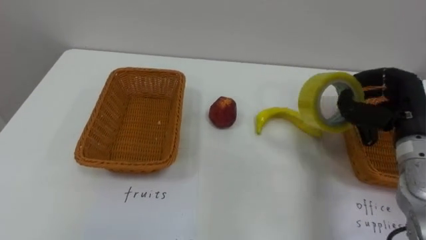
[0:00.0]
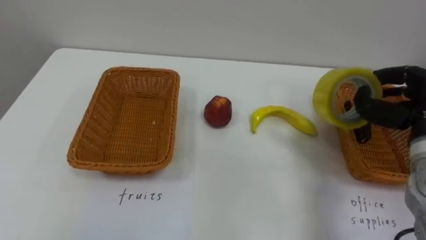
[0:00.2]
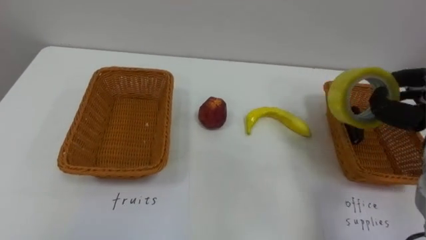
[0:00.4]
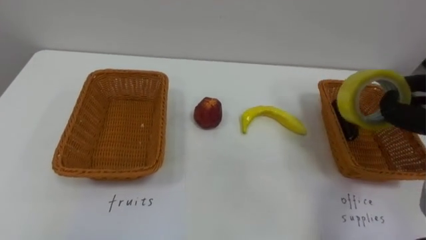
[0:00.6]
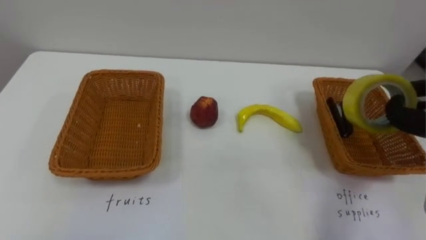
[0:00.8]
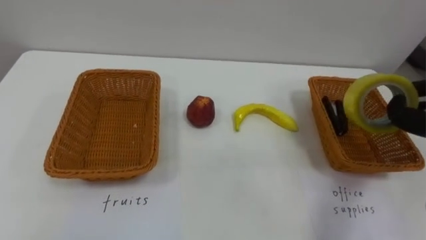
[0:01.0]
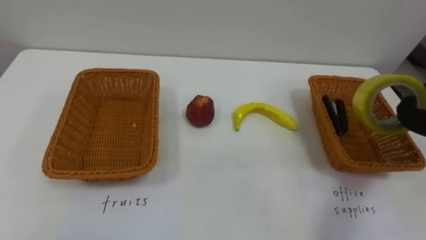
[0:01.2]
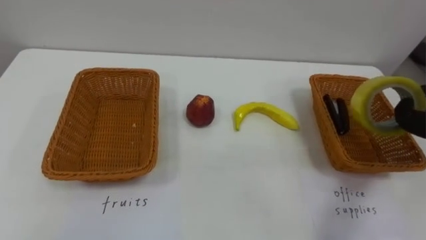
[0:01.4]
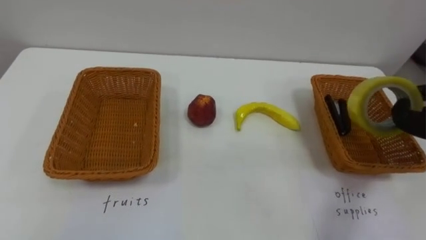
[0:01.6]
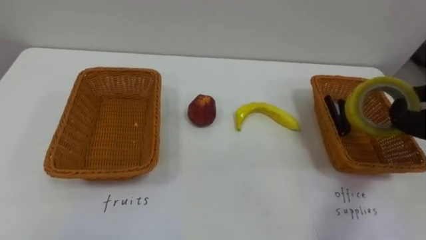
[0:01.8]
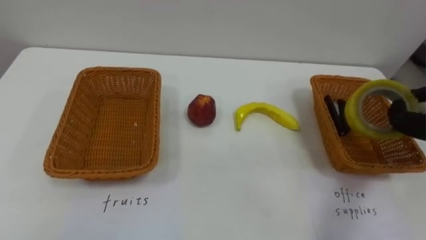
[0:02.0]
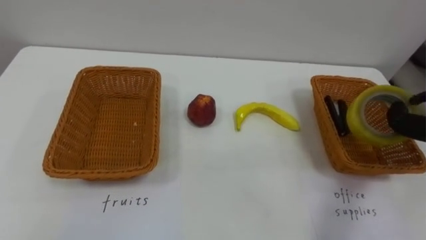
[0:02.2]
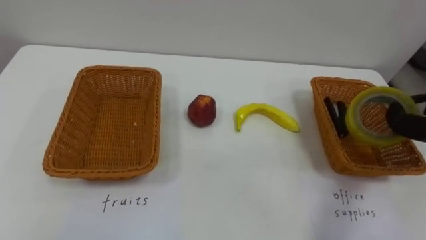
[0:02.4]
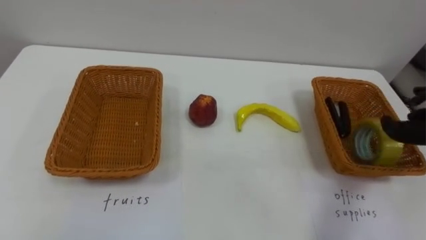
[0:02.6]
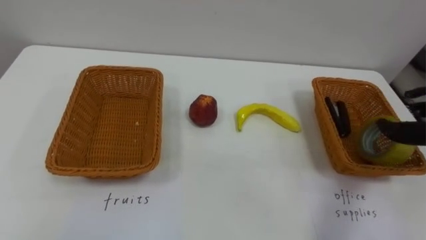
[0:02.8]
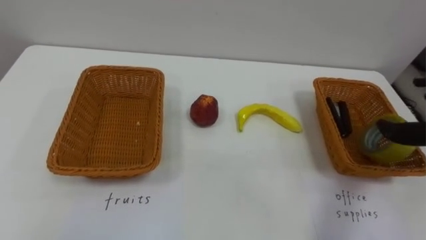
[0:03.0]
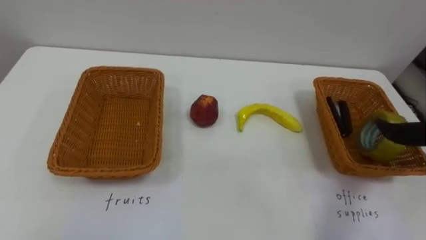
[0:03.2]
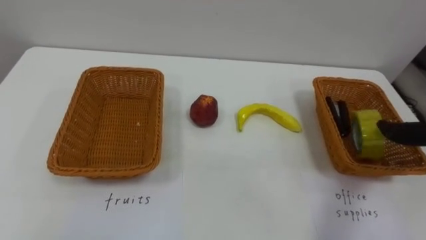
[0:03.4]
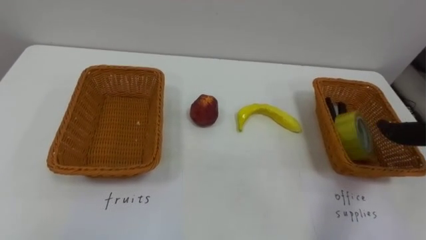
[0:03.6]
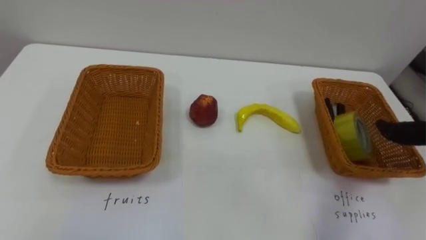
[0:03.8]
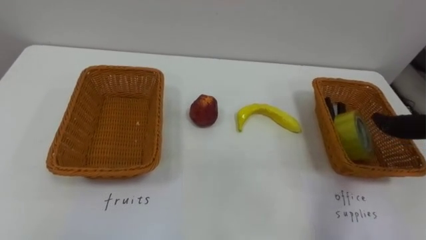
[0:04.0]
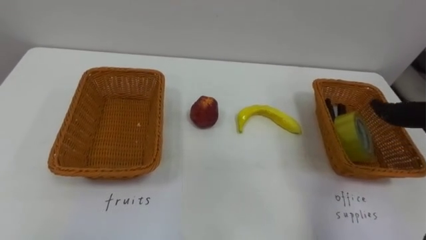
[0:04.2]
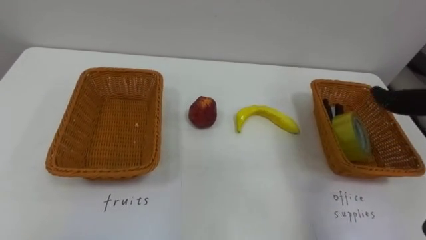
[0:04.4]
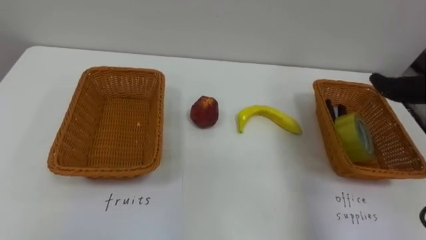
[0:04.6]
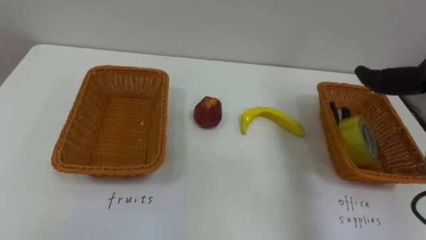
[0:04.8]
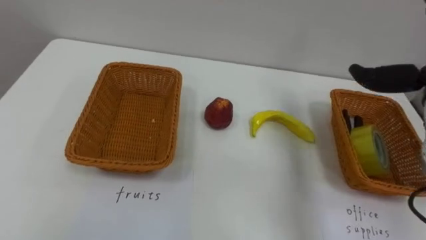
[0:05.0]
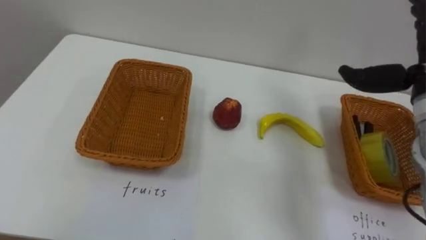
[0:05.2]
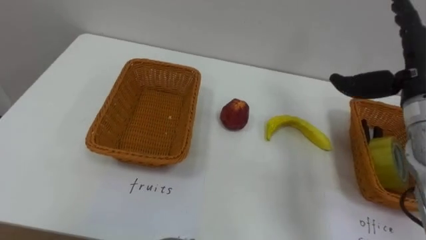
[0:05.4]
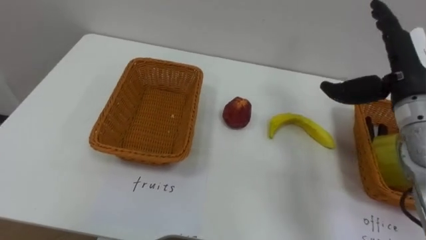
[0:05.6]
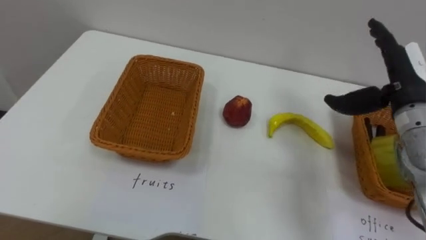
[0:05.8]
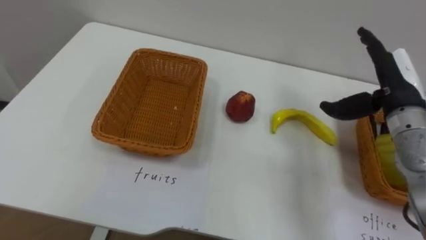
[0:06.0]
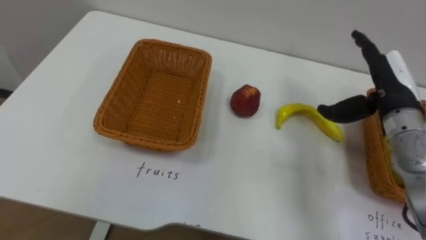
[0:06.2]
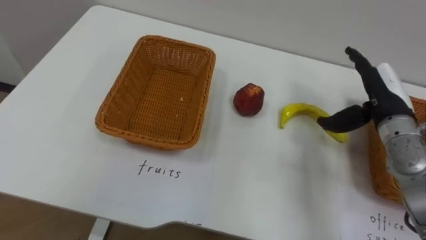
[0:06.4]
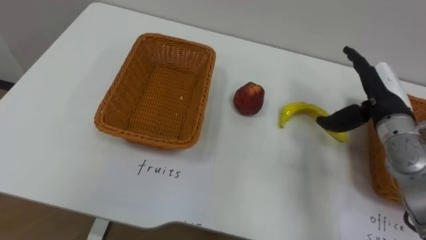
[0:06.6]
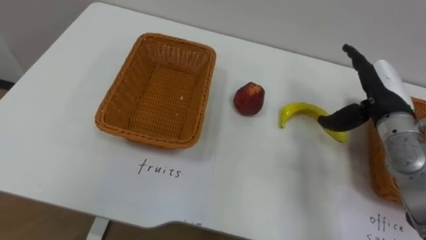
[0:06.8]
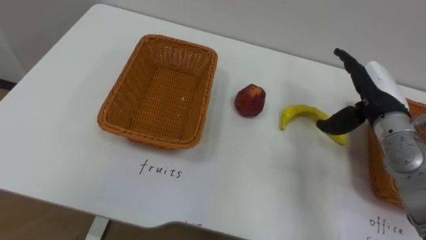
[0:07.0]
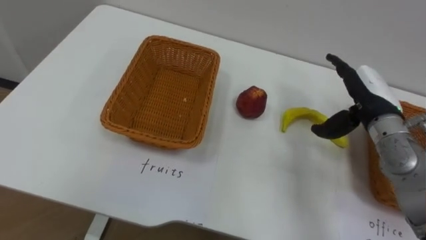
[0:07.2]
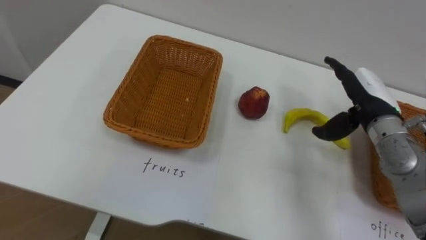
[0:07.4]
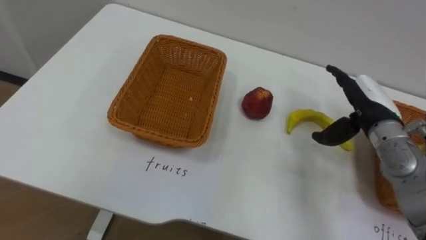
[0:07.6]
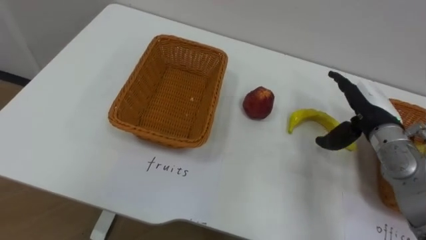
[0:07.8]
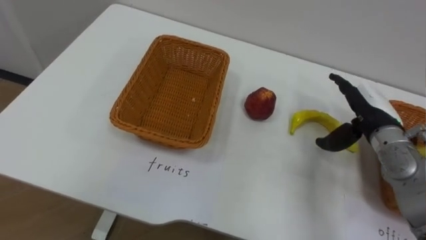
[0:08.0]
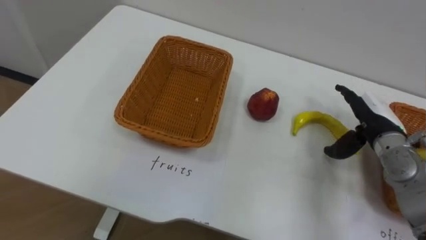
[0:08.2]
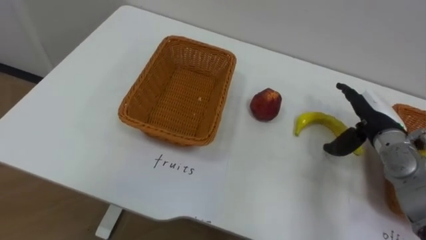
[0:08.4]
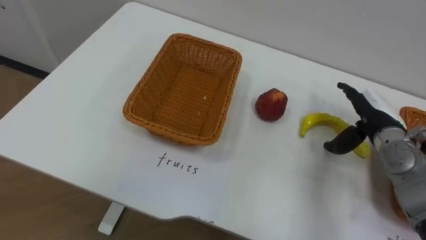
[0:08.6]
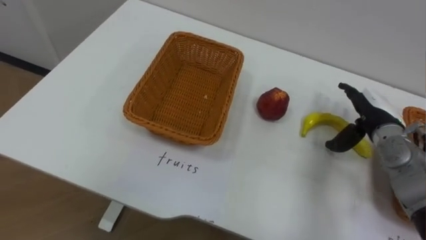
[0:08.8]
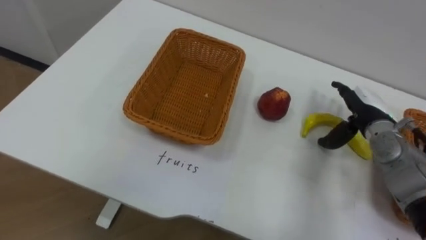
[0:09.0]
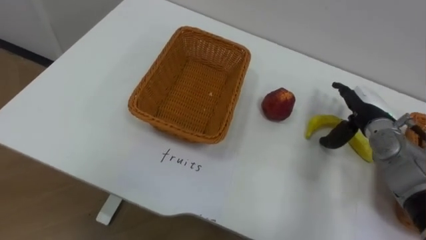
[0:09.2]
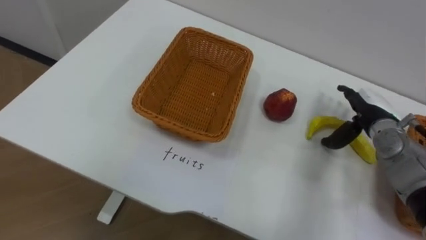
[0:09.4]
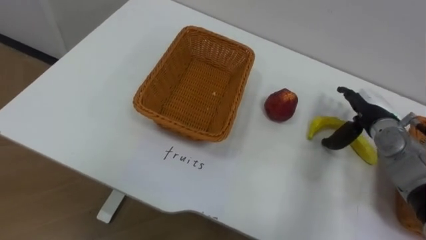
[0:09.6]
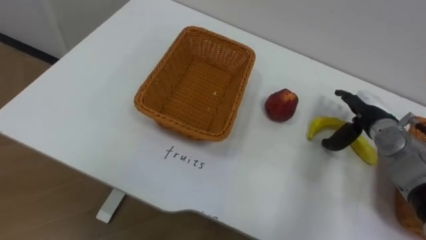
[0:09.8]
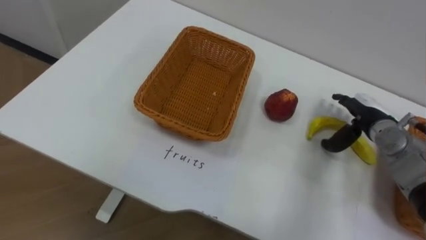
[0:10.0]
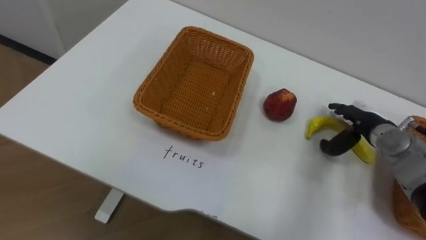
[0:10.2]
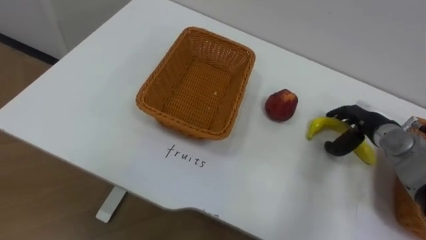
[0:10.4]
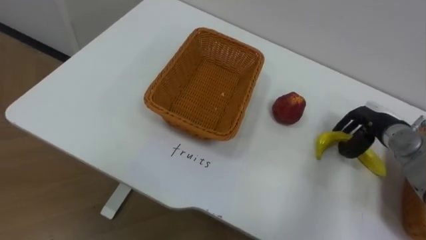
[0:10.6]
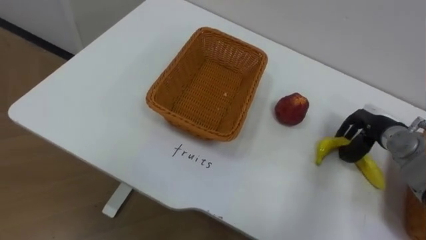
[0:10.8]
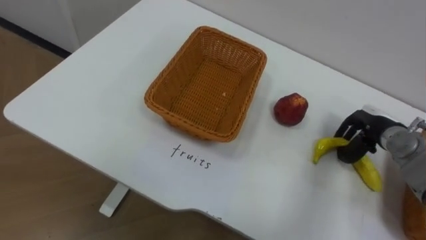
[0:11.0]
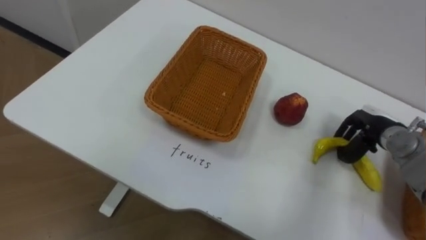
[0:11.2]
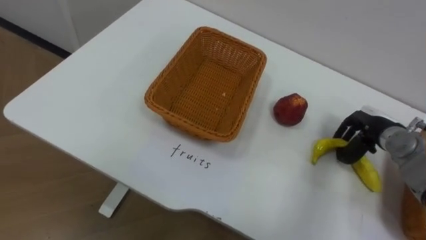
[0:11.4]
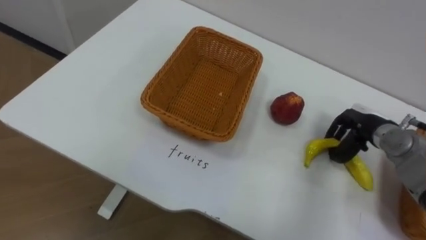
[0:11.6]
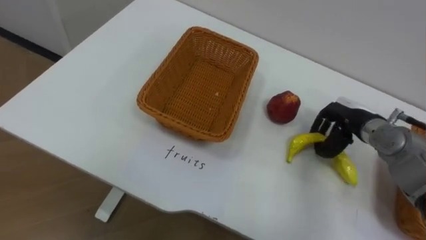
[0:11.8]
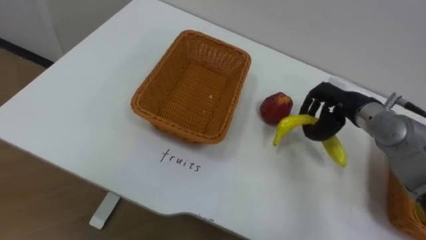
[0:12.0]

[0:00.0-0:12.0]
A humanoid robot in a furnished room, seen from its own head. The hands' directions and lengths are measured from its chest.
Task of the whole recording: Separate the items on the table and place them into the two baskets.
0:06.0 to 0:07.6: The right hand is displaced downward by approximately 5 cm.
0:07.6 to 0:09.0: The right hand moves some 5 cm.
0:10.4 to 0:12.0: The right hand travels to the left and upward by about 10 cm, and closes.

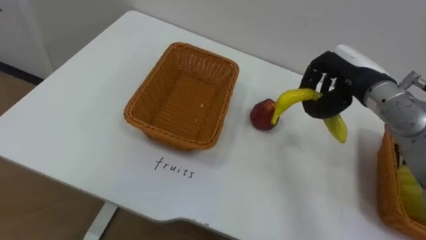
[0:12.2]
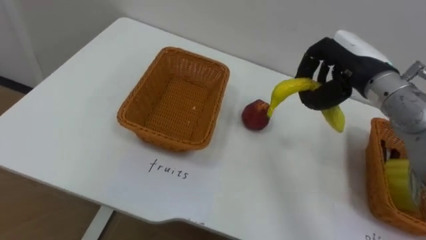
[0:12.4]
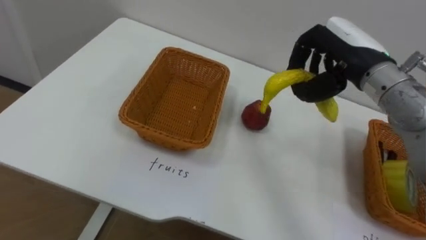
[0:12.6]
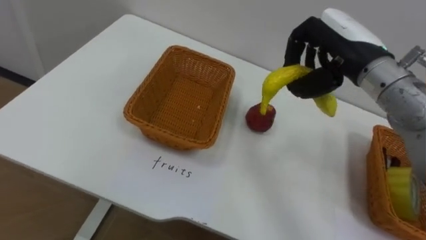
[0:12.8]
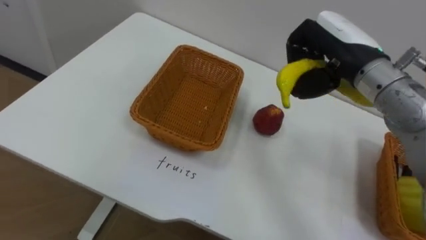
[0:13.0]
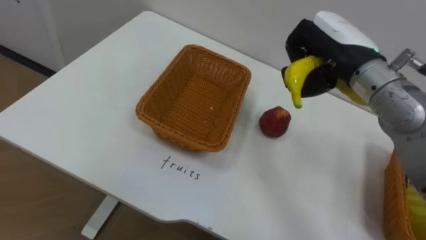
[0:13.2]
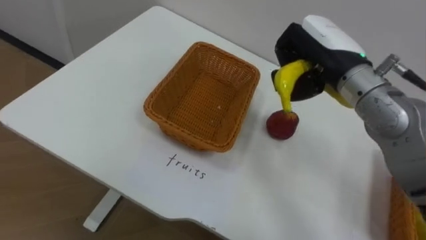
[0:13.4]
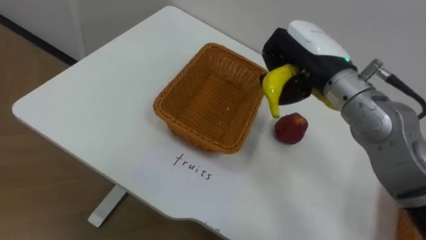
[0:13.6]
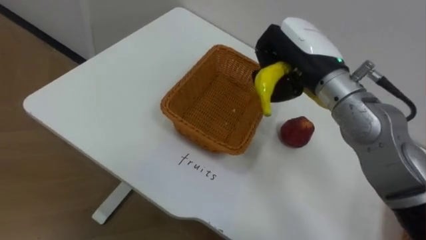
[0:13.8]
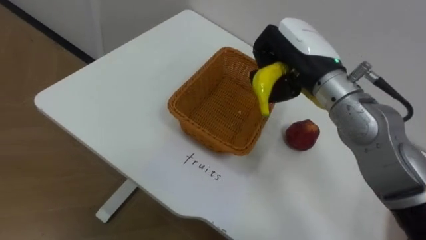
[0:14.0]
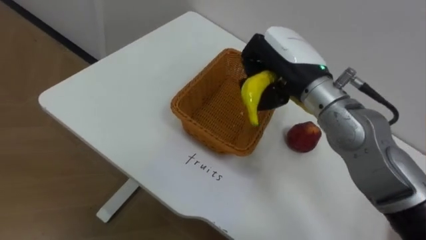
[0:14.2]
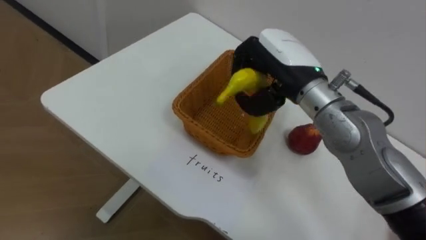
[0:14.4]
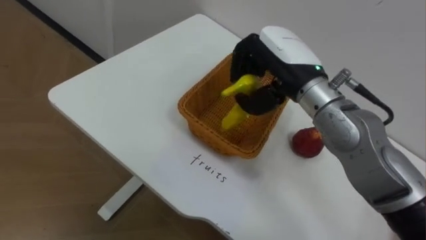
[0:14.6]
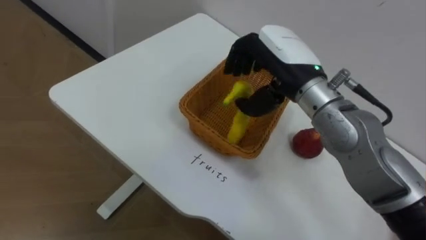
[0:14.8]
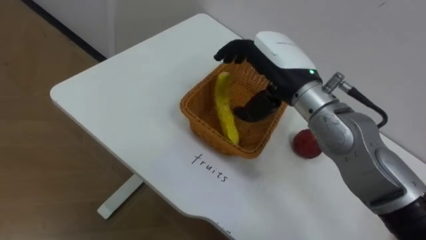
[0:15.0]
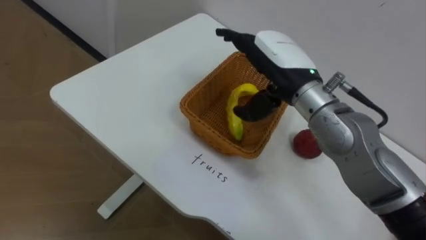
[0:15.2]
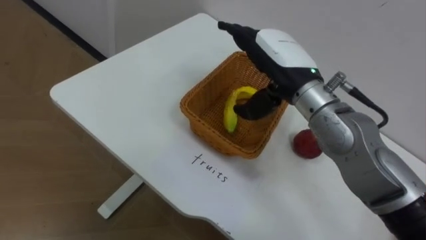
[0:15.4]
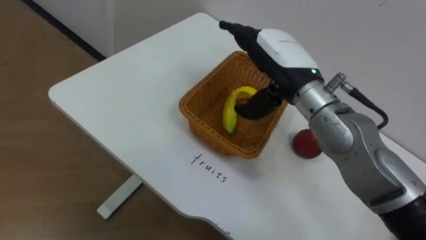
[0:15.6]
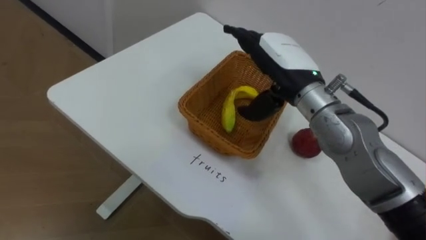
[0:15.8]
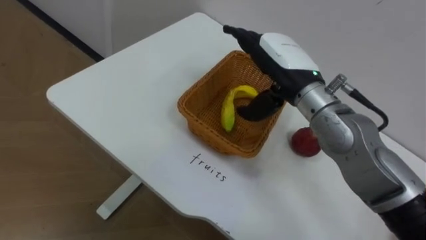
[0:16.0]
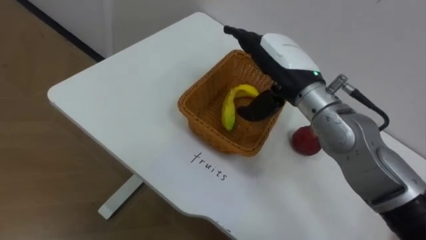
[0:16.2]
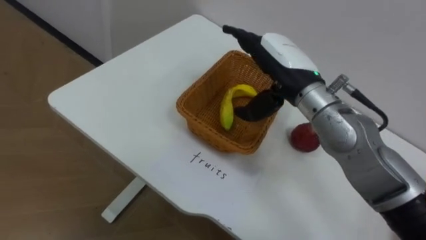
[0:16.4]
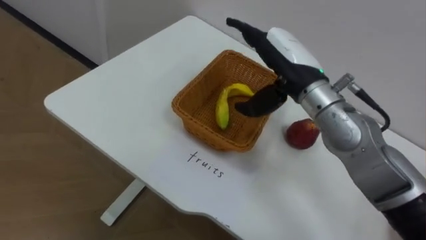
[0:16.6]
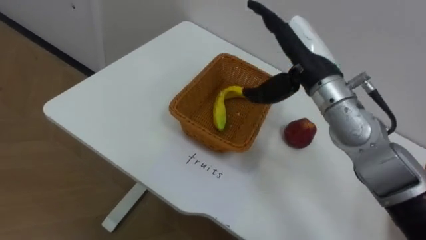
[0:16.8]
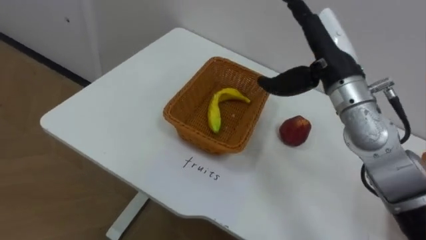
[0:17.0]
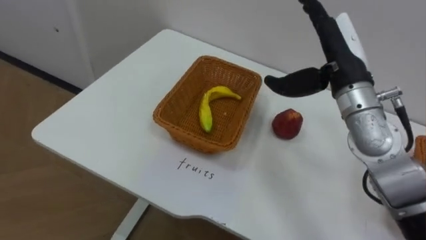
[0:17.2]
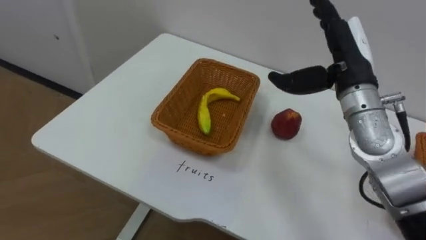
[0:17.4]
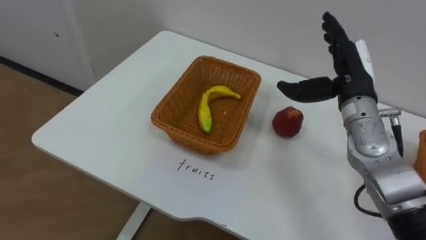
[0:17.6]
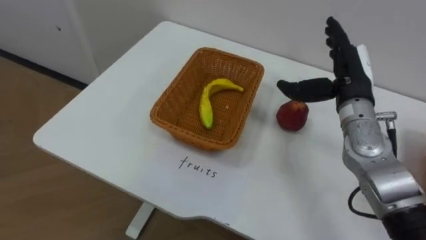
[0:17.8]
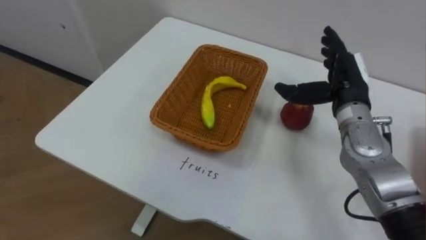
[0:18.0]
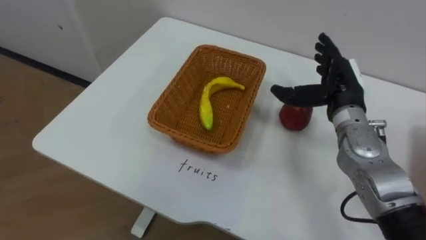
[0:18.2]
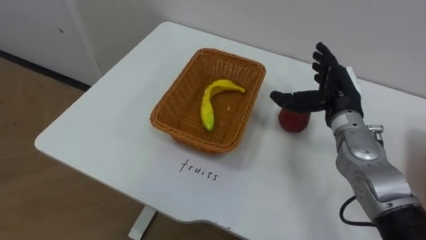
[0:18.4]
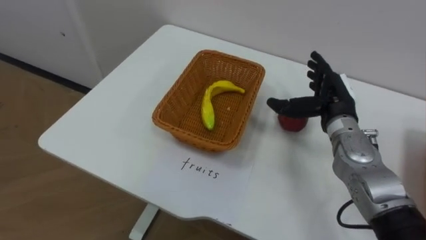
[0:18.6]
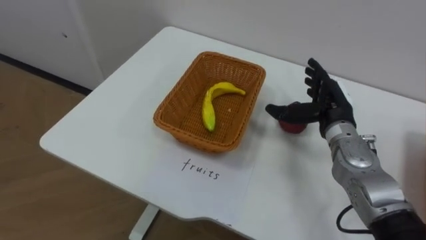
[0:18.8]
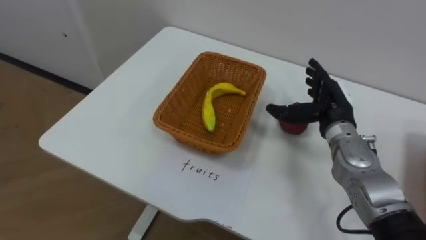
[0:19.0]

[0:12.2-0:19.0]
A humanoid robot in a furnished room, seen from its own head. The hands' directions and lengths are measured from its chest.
Task of the whole recording: Separate the items on the table and place them into the two baskets.
0:12.2 to 0:13.6: The right hand shifts approximately 10 cm to the left and upward.
0:13.6 to 0:15.0: The right hand goes some 5 cm to the left, and opens.
0:16.2 to 0:17.6: The right hand heads to the right, covering roughly 10 cm.
0:17.6 to 0:19.0: The right hand is displaced downward by about 10 cm.
